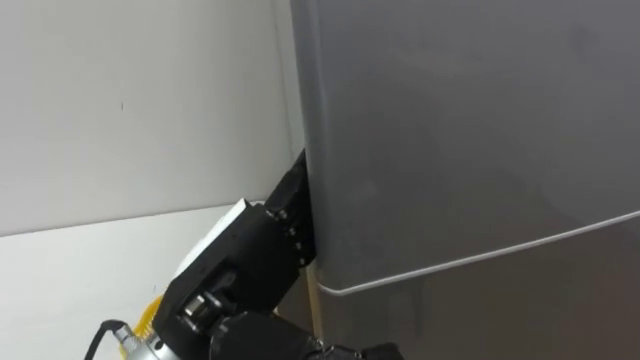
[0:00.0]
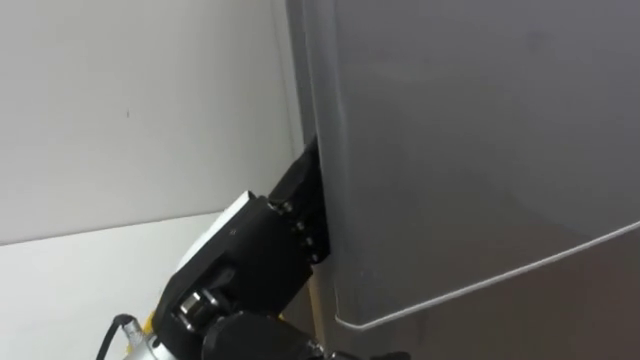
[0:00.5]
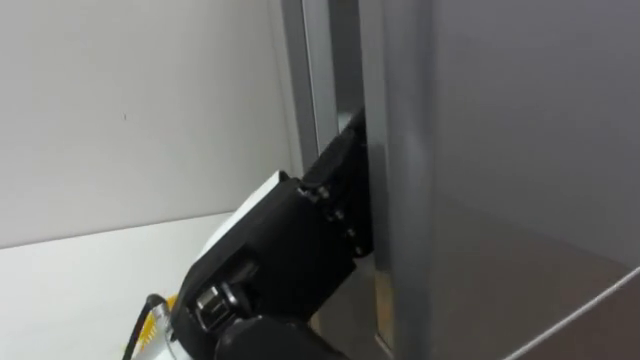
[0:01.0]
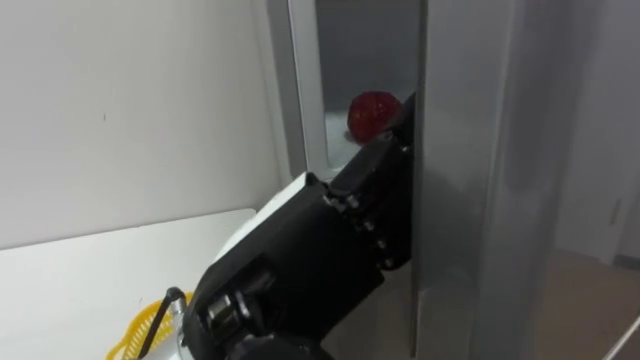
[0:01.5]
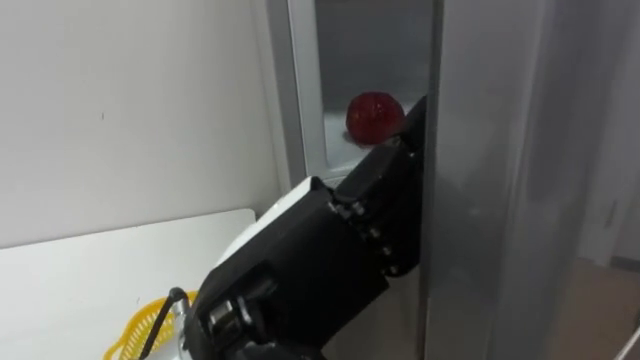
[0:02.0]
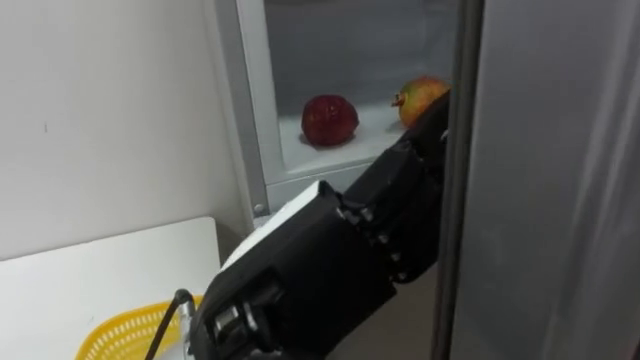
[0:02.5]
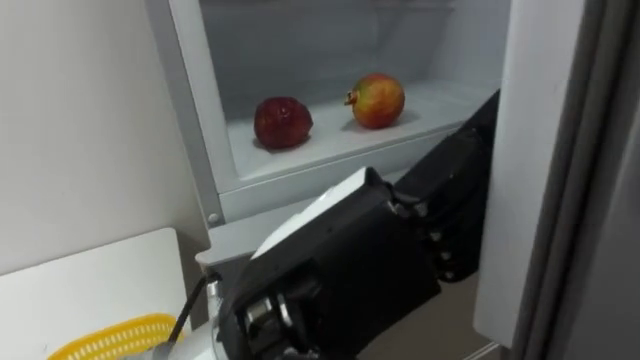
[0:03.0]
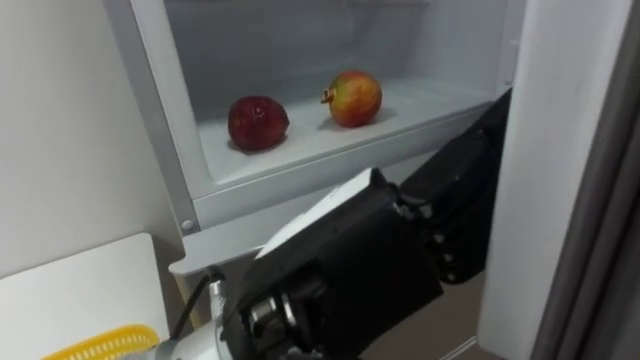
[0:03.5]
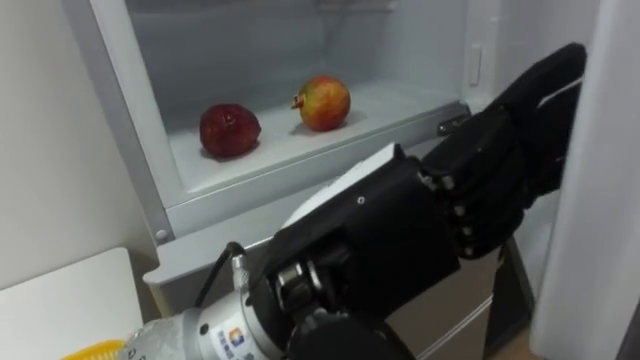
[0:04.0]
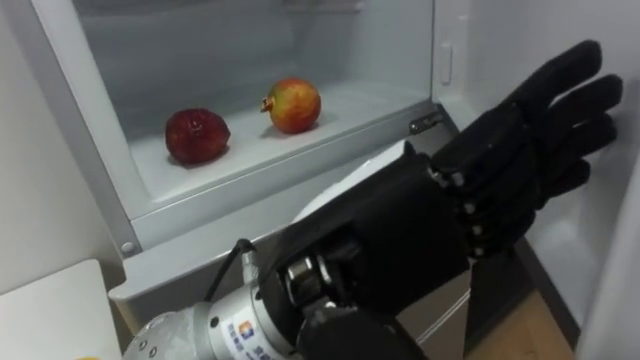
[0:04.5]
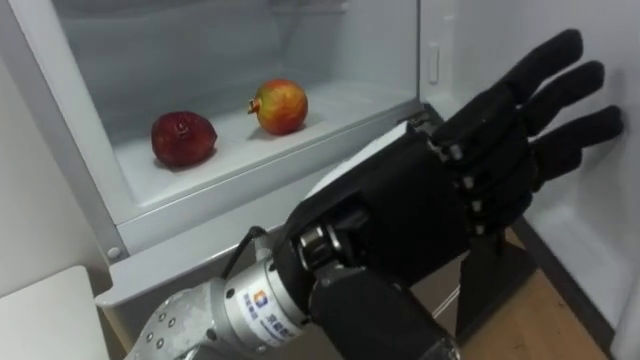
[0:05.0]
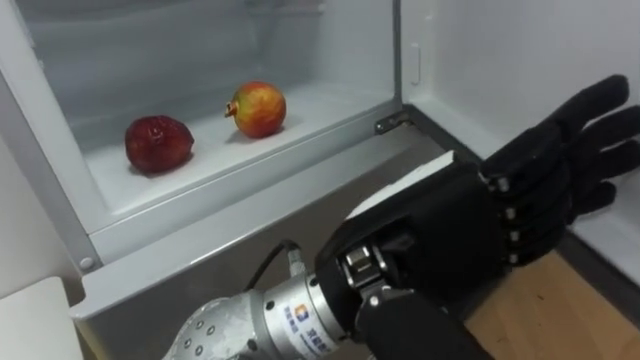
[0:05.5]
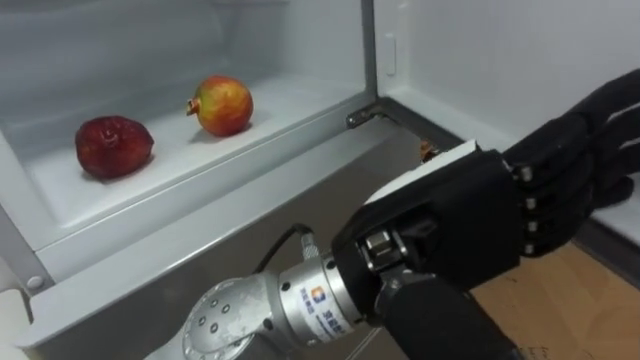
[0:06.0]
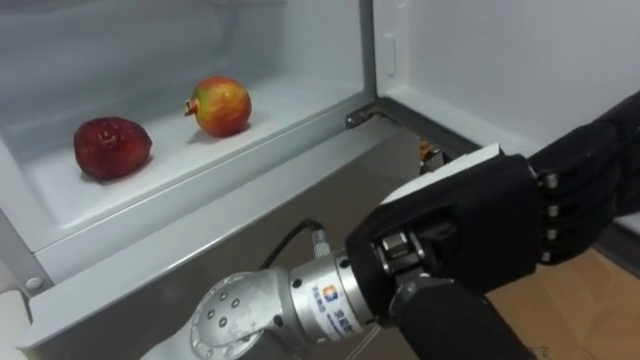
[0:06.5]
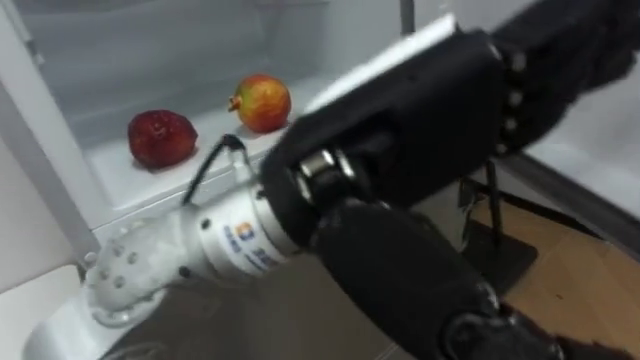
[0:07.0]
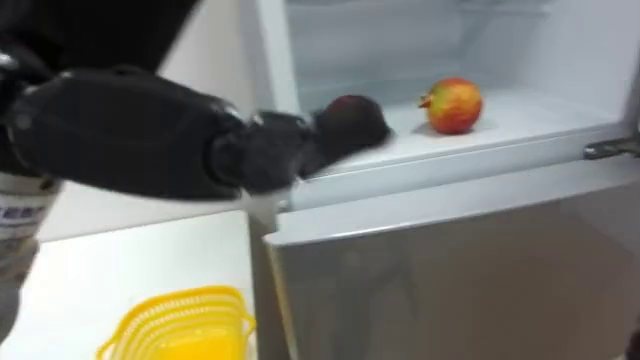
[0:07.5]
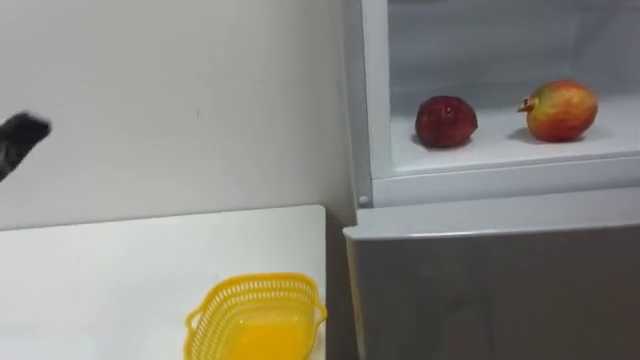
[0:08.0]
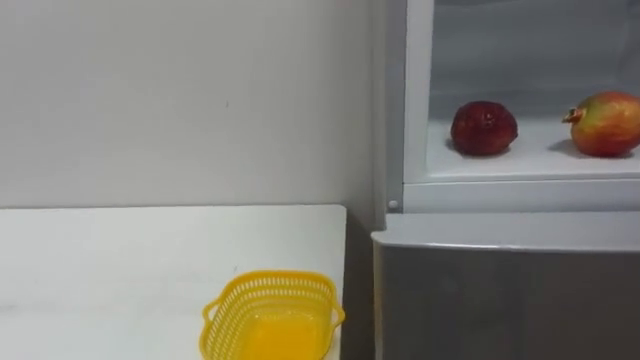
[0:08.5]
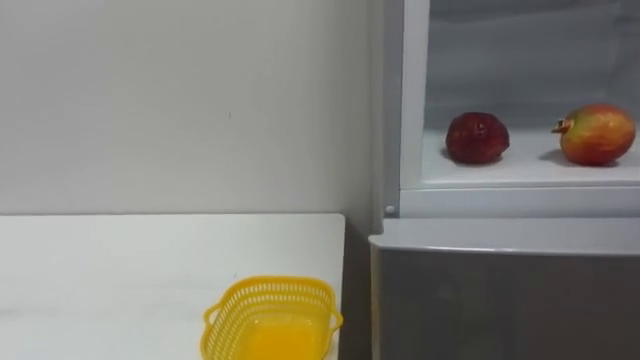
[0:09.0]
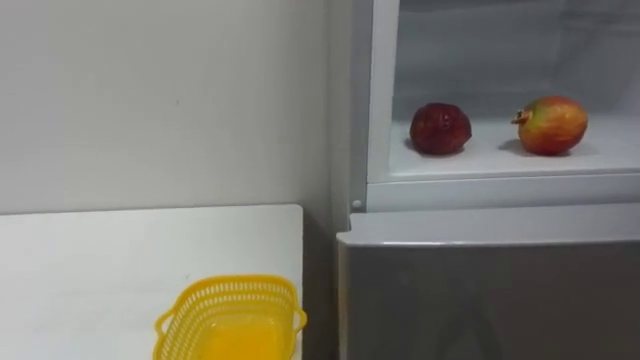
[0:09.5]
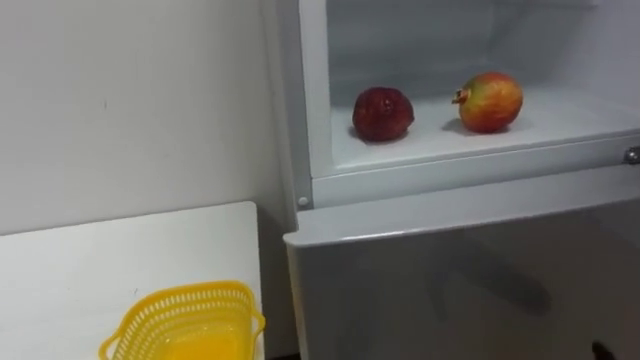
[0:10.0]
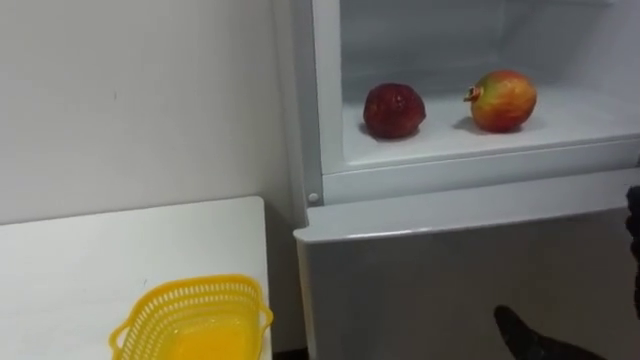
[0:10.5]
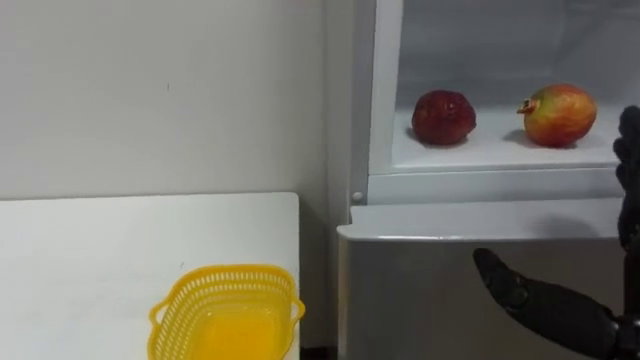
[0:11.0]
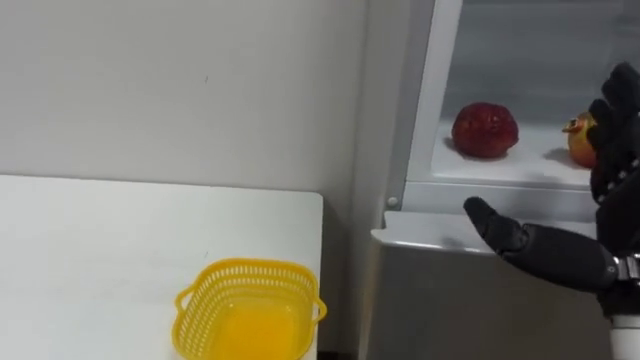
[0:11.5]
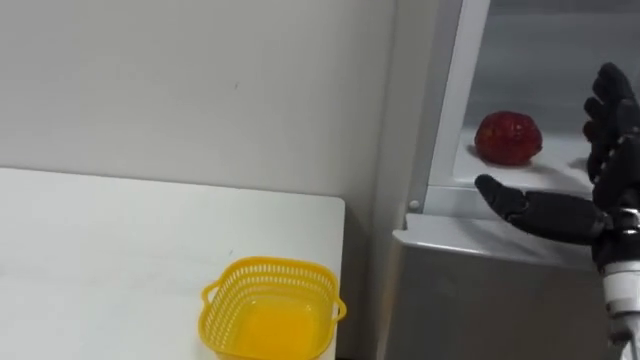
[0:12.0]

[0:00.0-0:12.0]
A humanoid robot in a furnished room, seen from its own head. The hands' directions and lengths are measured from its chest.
Task of the whole recording: Open the refrigerator door, take out the apple and the pomegranate, place them in the fruit basket on the left, and close the refrigerator door.
0:00.0 to 0:02.0: The left hand ends up roughly 10 cm from where it was.
0:04.0 to 0:06.0: The left hand shifts by approximately 5 cm.

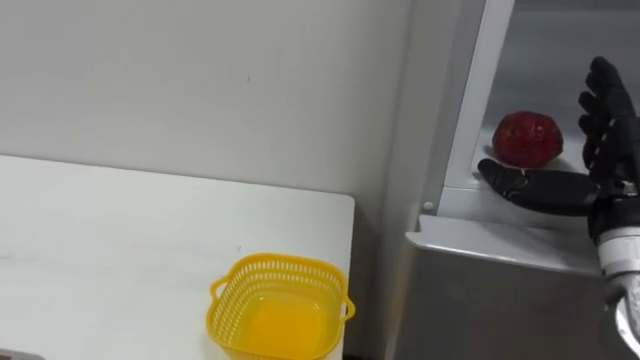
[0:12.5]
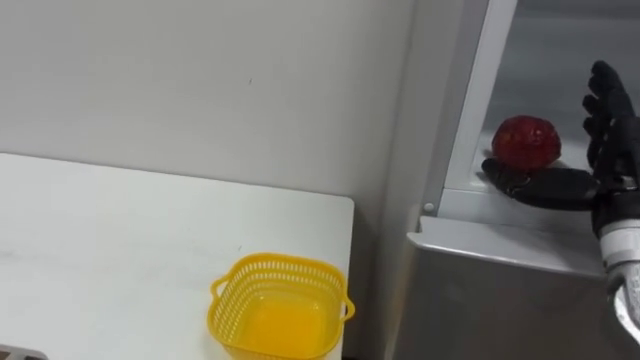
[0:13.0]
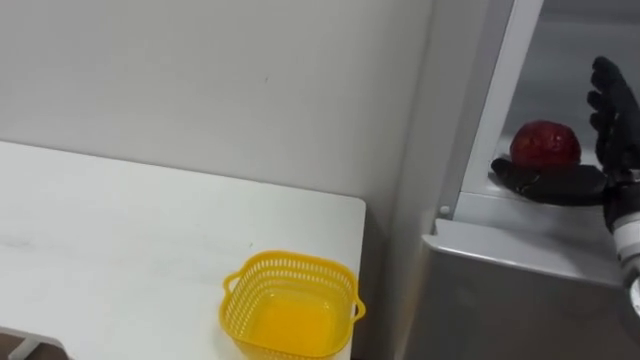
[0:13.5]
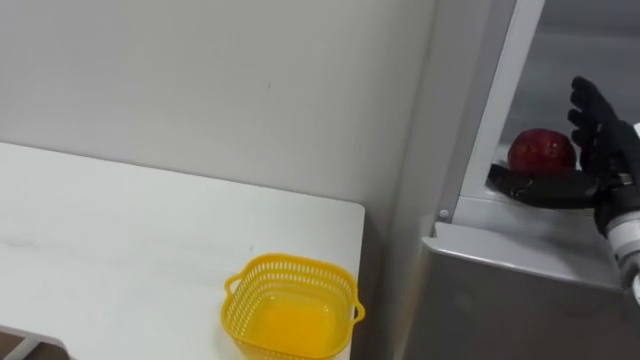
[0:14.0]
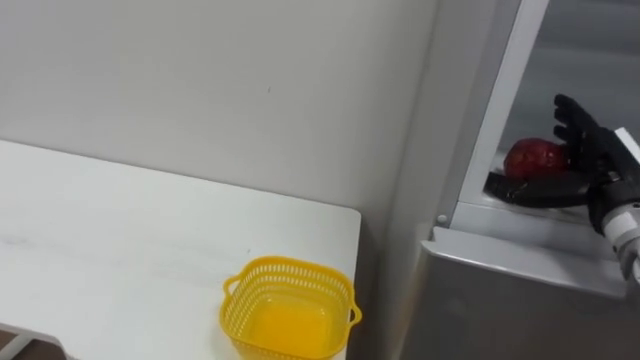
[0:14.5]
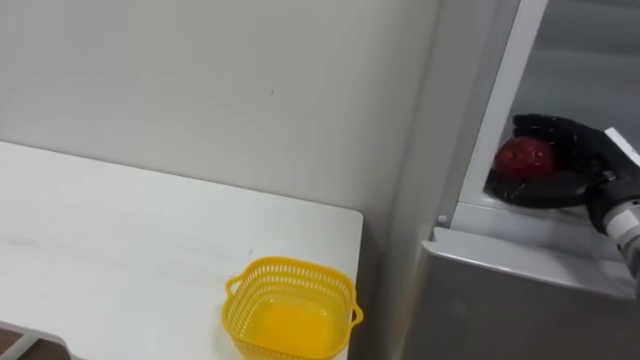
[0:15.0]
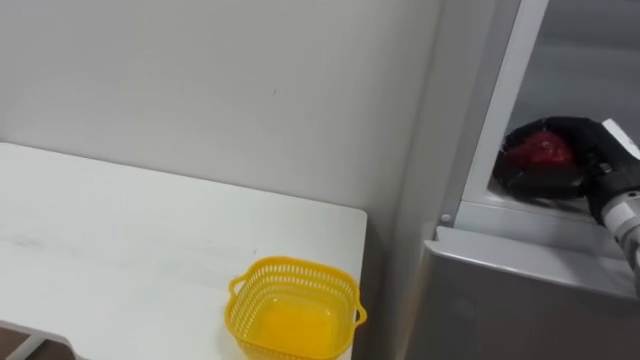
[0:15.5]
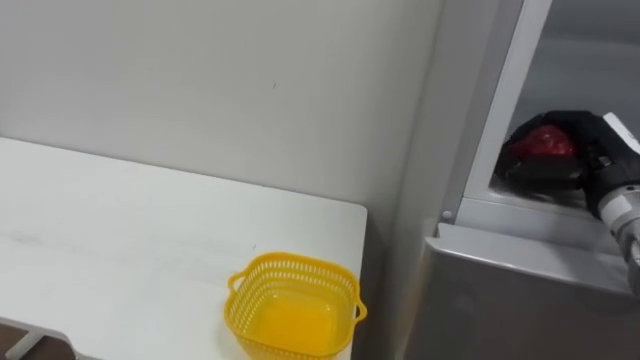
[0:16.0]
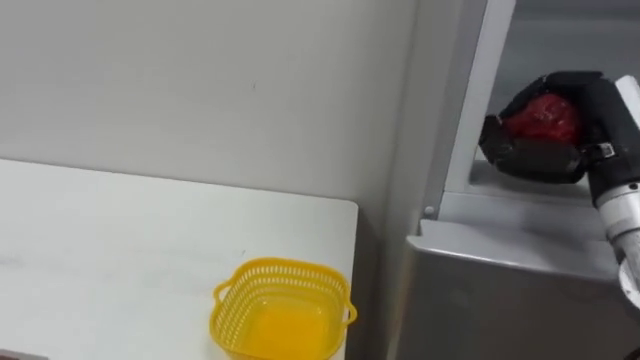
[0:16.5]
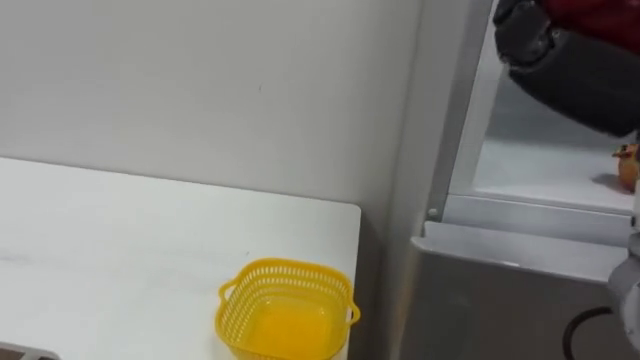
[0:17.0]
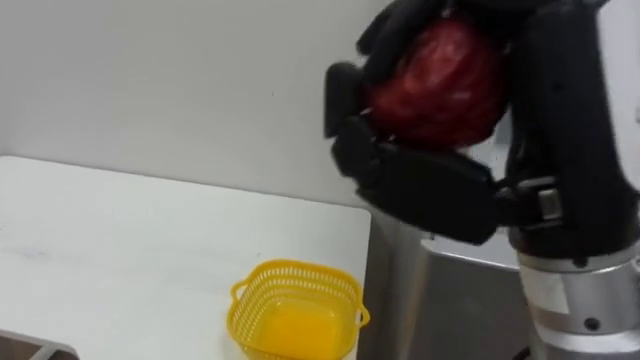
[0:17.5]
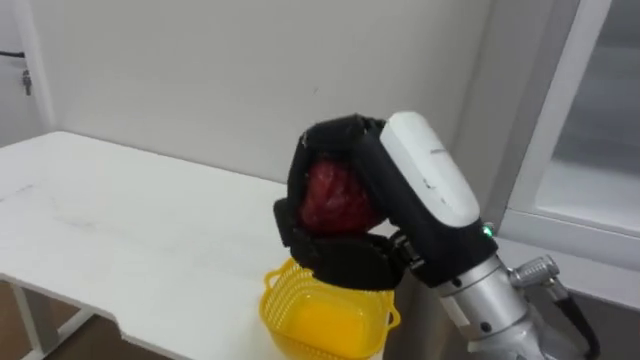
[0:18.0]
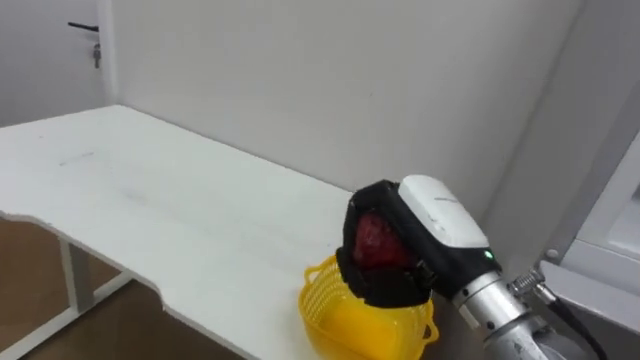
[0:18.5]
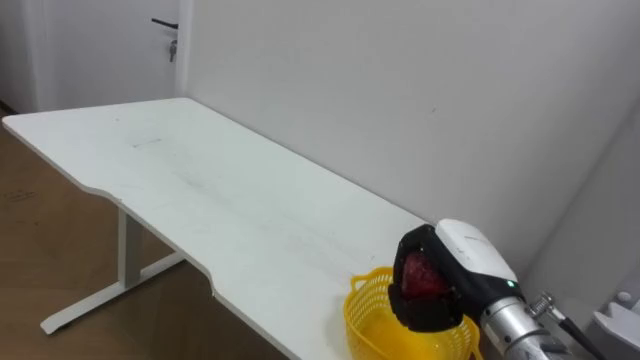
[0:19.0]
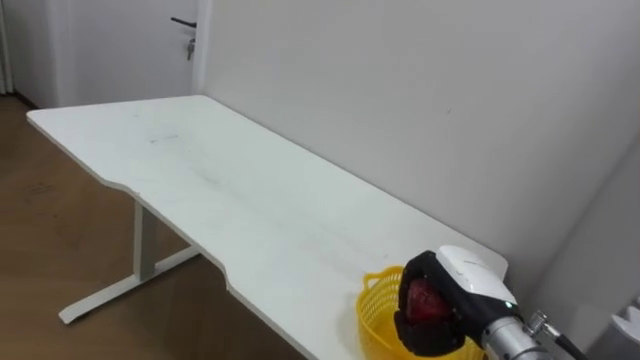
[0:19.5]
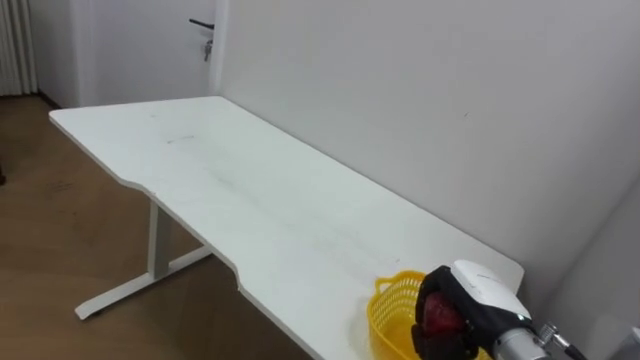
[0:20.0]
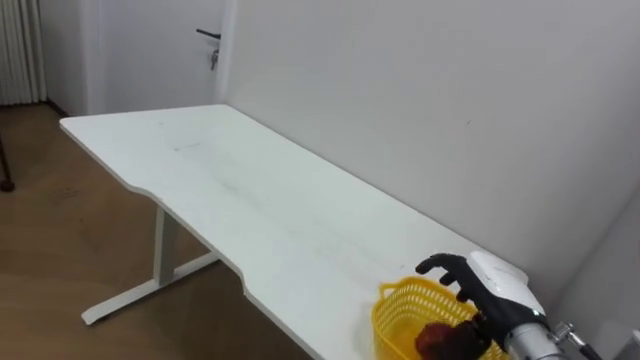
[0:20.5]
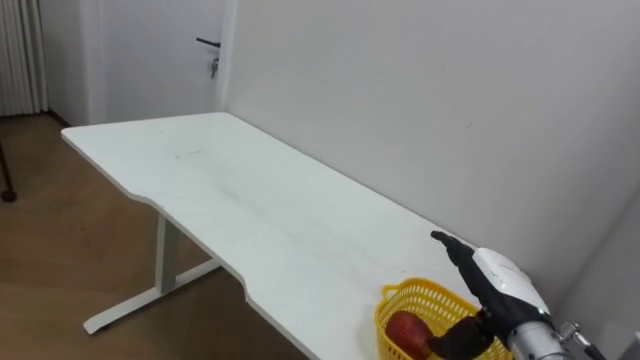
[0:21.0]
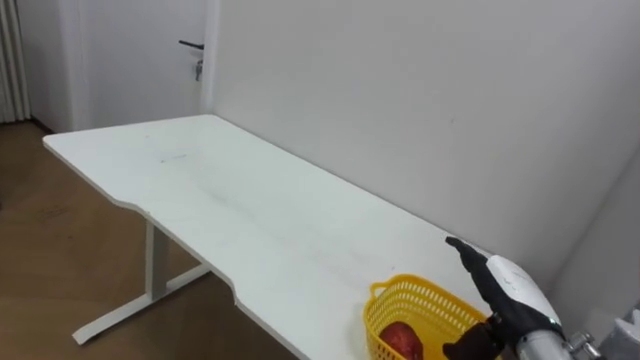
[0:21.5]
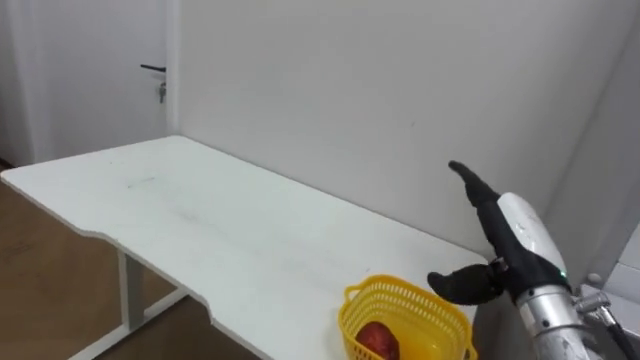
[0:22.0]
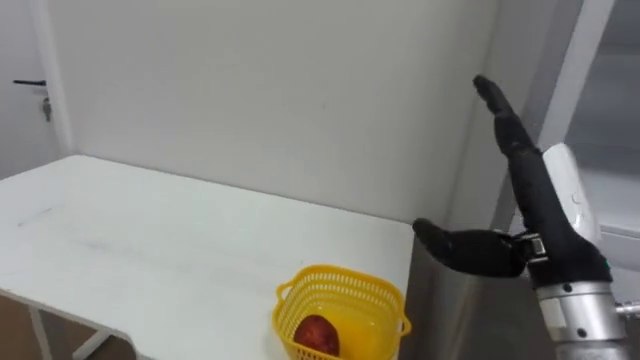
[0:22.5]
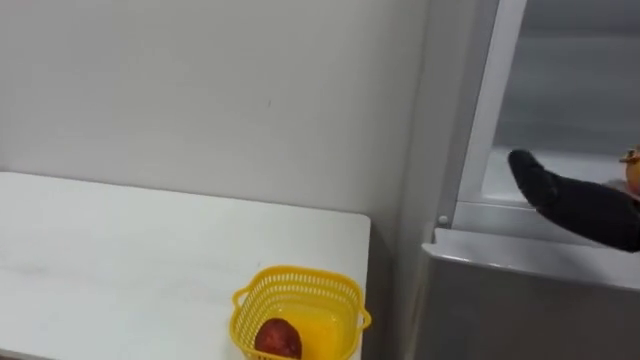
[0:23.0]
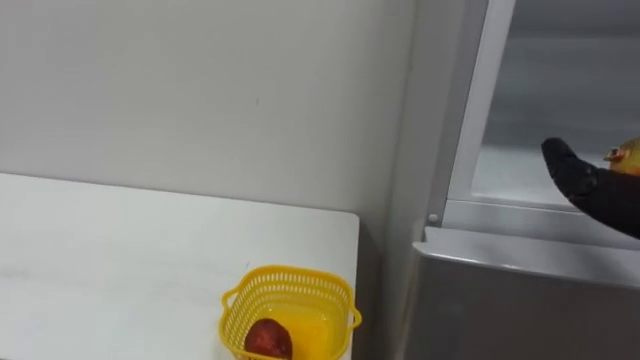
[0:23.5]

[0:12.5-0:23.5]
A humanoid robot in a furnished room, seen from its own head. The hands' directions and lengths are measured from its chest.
Task of the whole recording: Open the refrigerator door, take out the apple and the pomegranate, place them in the fruit basket on the left, and close the refrigerator door.
0:12.5 to 0:14.5: The right hand goes some 5 cm forward.
0:14.5 to 0:16.0: The right hand closes its fingers.
0:18.0 to 0:20.0: The right hand is displaced downward, to the right and forward by about 25 cm.
0:20.0 to 0:21.5: The right hand opens.
